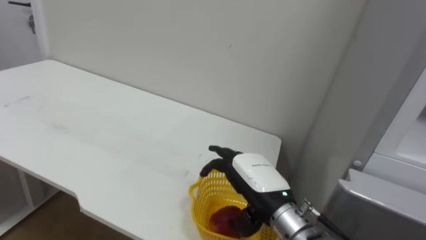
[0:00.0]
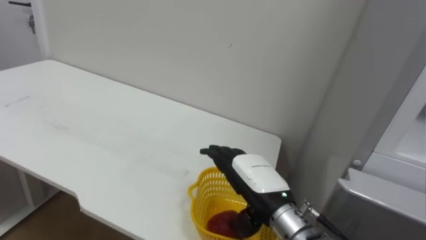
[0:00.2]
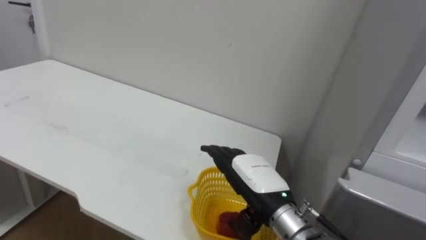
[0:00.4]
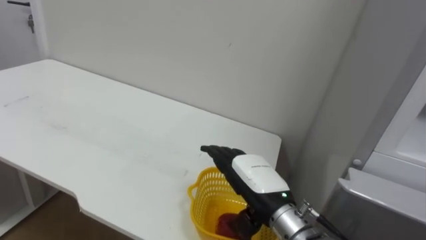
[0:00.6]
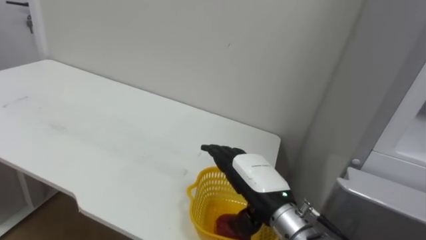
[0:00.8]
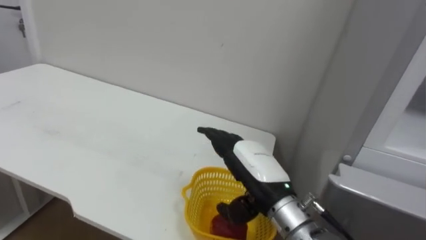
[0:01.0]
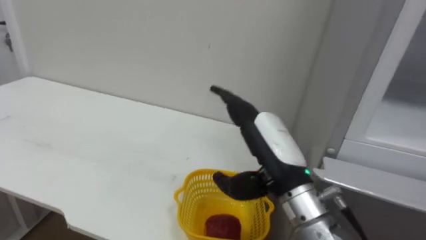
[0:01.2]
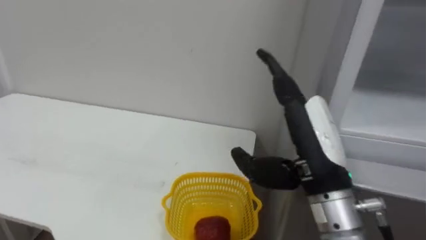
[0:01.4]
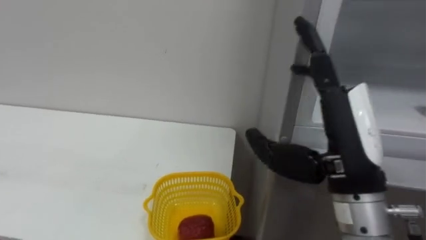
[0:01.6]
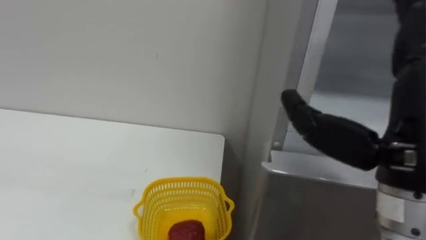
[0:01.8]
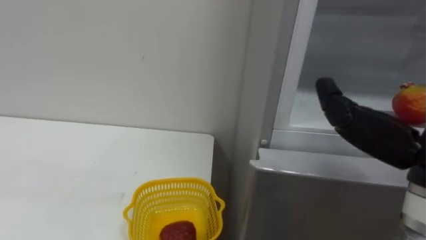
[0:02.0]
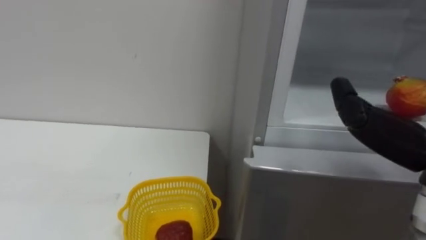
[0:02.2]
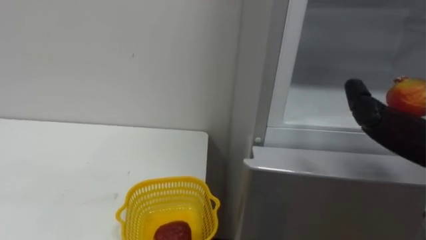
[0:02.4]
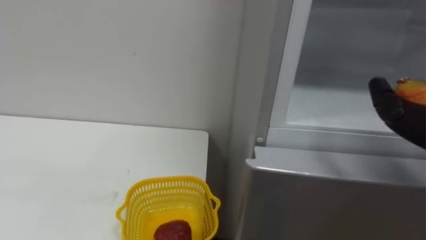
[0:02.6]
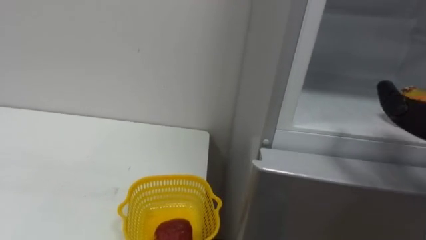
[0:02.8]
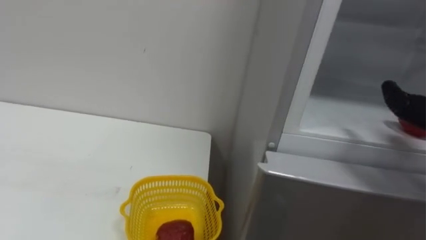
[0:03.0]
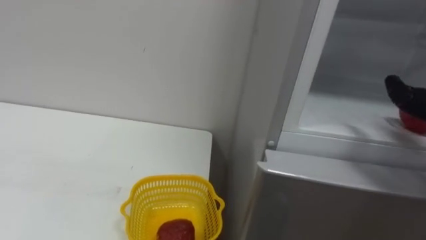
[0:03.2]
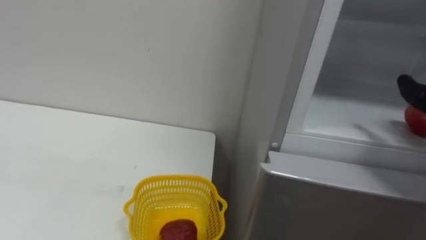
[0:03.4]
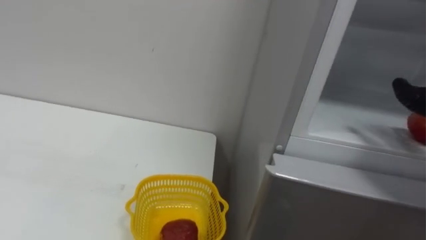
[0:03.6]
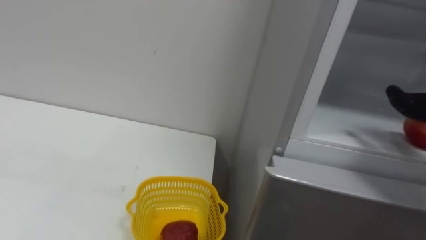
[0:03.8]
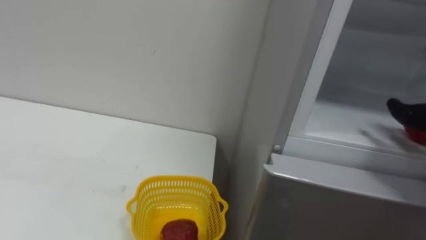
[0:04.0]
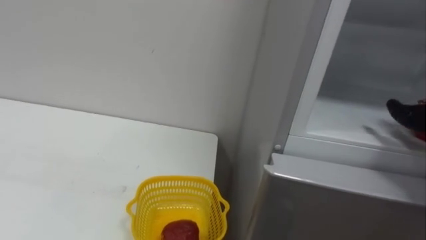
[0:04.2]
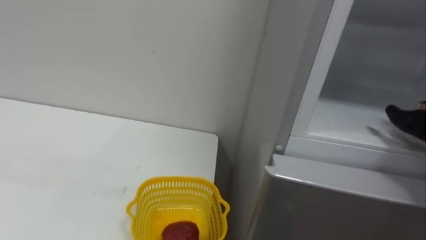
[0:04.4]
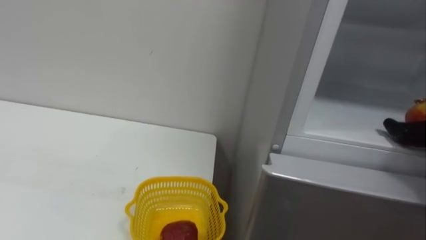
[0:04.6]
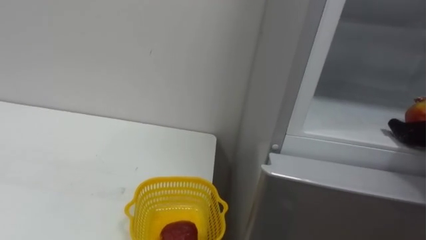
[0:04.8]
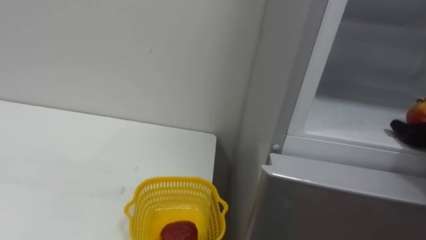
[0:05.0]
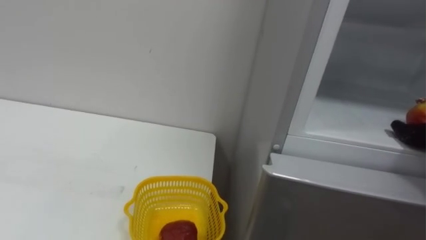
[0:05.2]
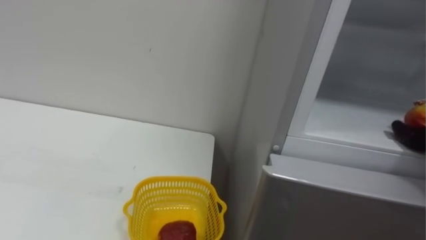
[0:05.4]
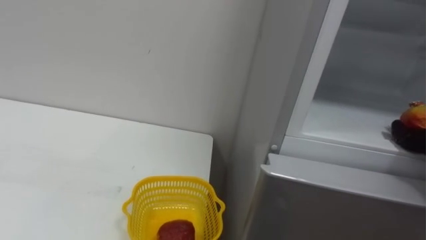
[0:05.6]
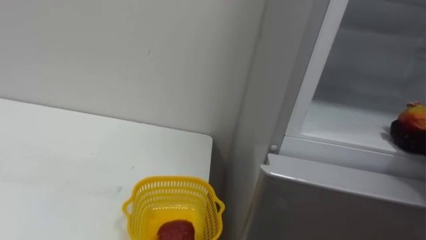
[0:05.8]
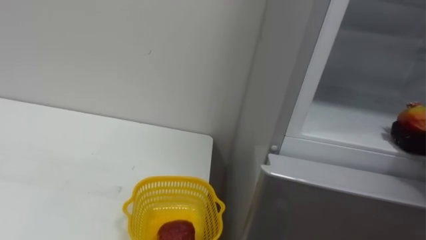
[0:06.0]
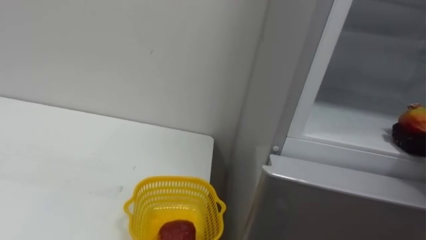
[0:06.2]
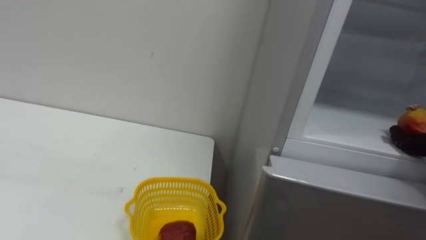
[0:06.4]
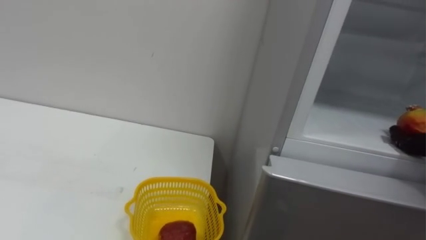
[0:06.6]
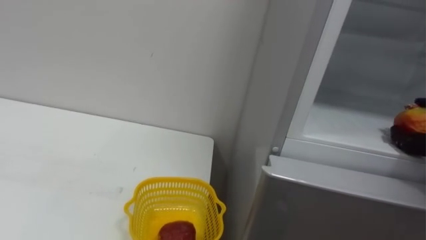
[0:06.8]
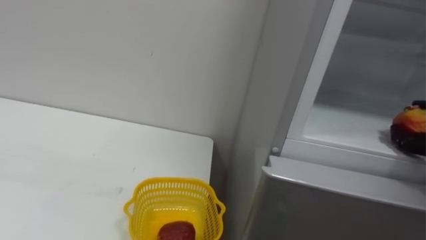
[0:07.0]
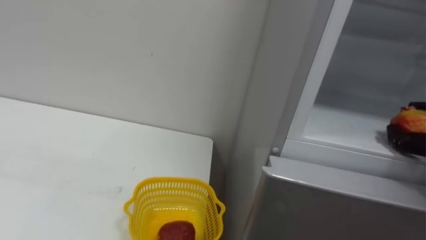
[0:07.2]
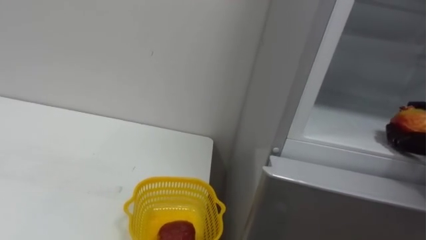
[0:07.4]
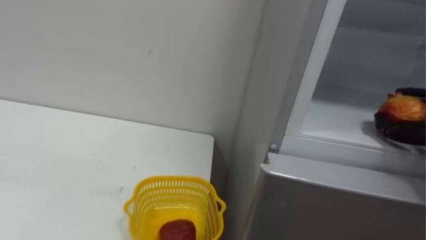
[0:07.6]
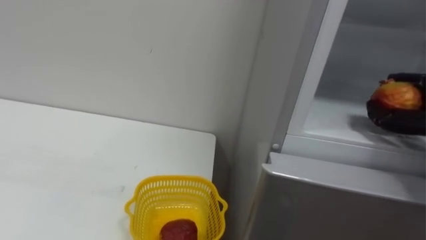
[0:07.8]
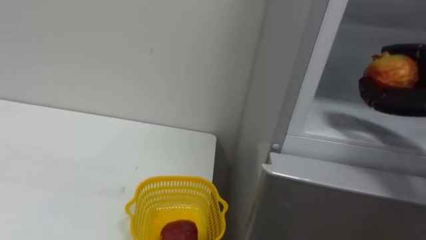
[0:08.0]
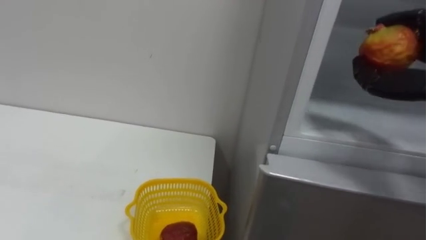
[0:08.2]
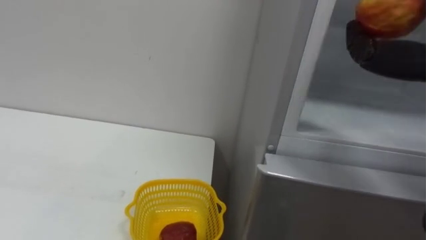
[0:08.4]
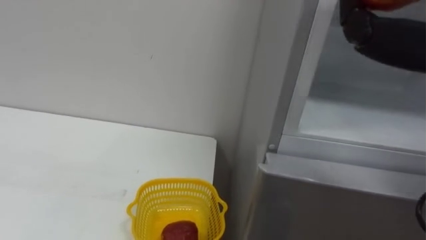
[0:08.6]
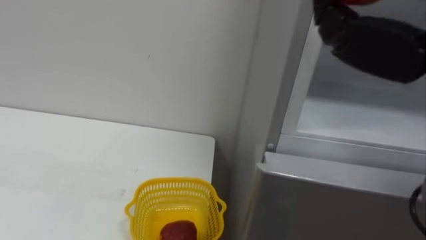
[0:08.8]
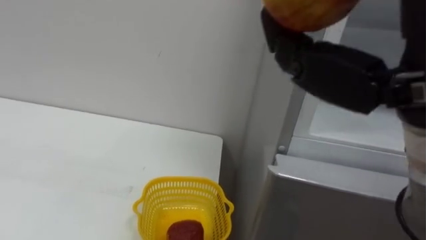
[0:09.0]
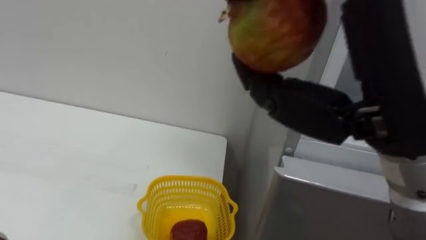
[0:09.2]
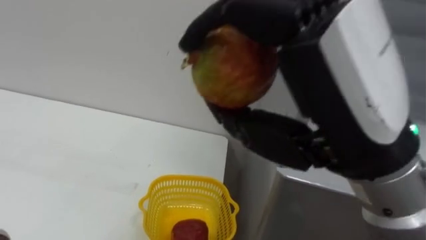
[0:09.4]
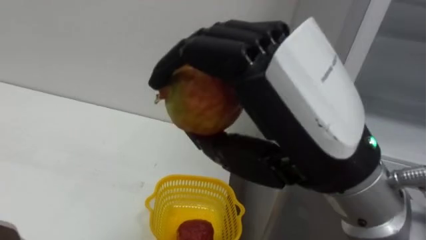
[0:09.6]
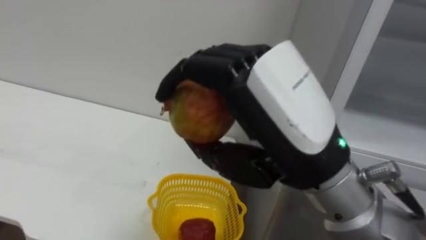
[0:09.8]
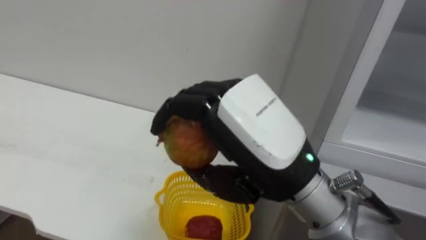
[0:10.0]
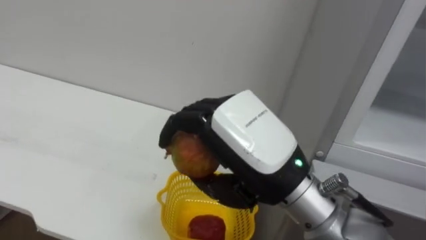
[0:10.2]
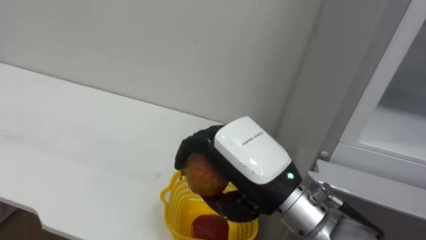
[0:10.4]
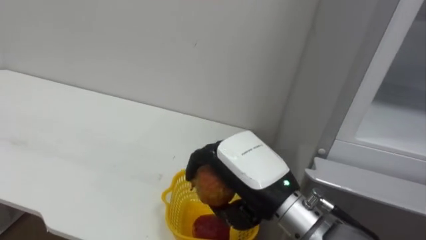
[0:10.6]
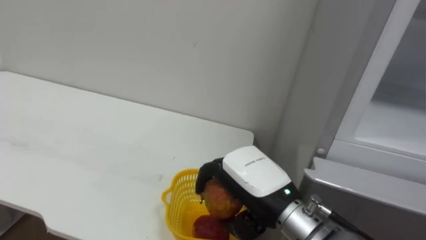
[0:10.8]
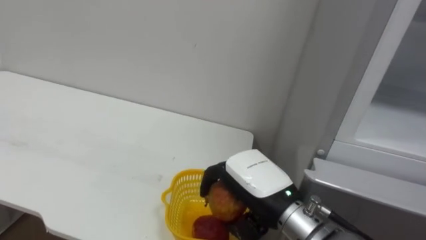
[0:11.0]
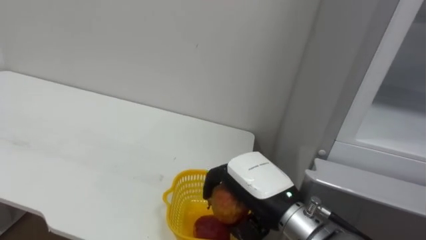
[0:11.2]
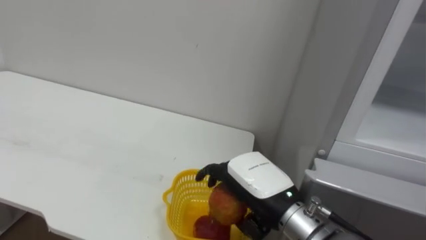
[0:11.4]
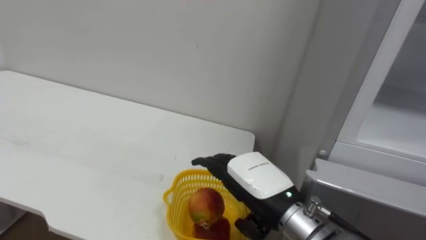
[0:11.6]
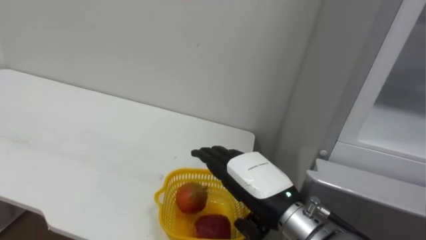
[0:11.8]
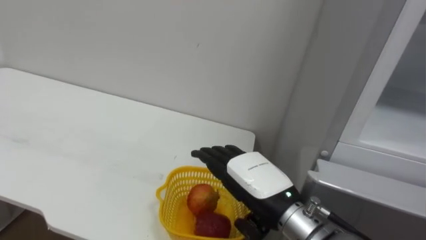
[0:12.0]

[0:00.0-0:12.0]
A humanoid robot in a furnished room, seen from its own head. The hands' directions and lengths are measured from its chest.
Task of the whole recording: Open the refrigerator door, take out the apple and the pomegranate, place them in the fruit basket on the left, and close the refrigerator door.
0:00.0 to 0:01.6: The right hand moves upward, to the right and backward, some 15 cm.
0:09.0 to 0:10.4: The right hand is displaced downward, to the left and forward by some 20 cm.
0:10.4 to 0:12.0: The right hand travels downward by about 10 cm, and opens its fingers.

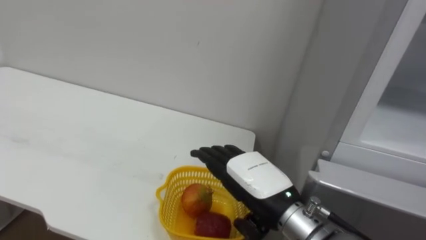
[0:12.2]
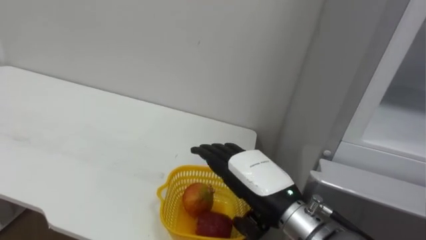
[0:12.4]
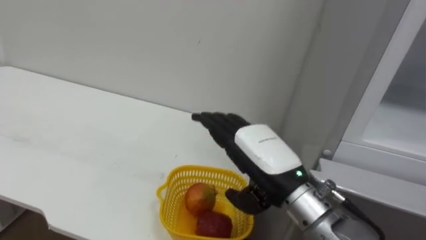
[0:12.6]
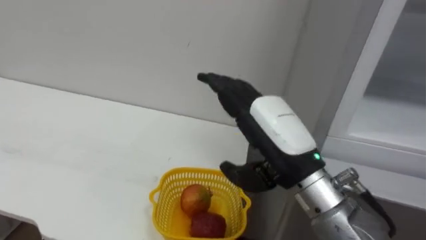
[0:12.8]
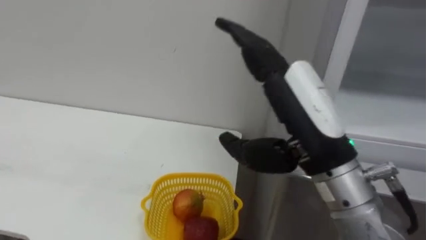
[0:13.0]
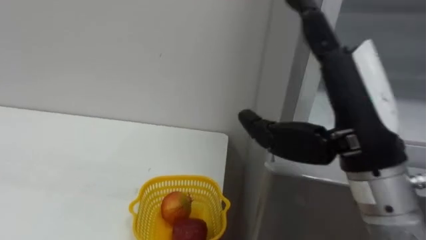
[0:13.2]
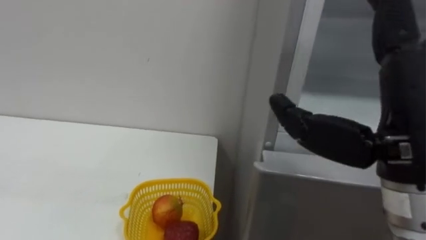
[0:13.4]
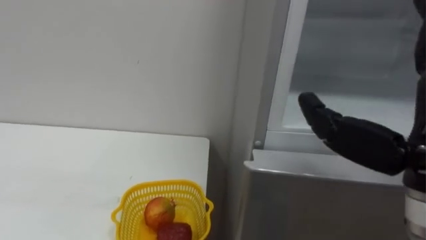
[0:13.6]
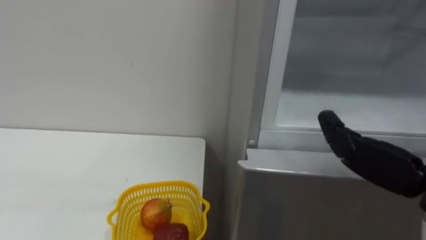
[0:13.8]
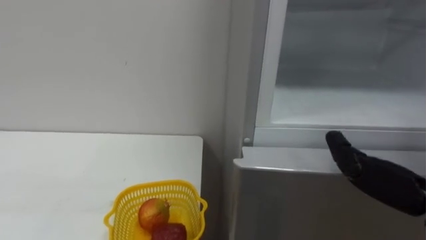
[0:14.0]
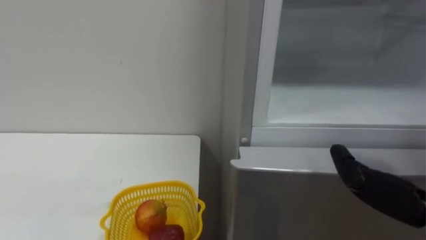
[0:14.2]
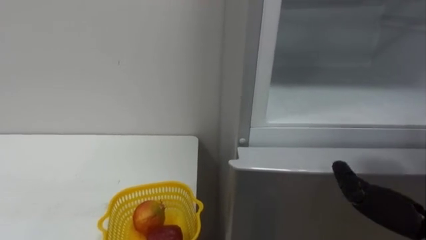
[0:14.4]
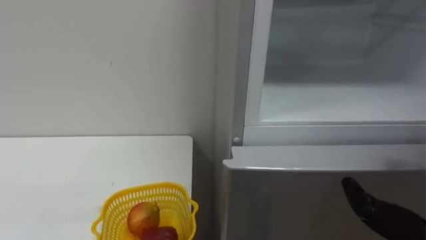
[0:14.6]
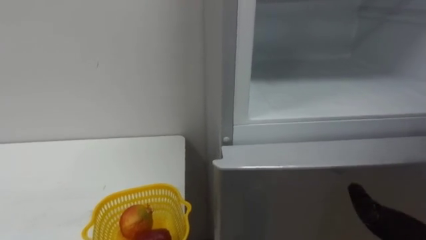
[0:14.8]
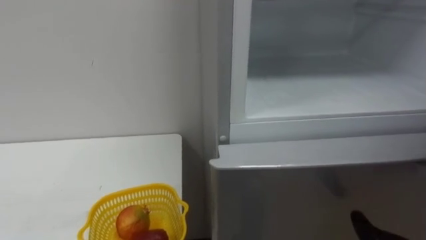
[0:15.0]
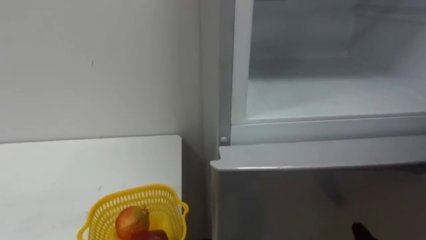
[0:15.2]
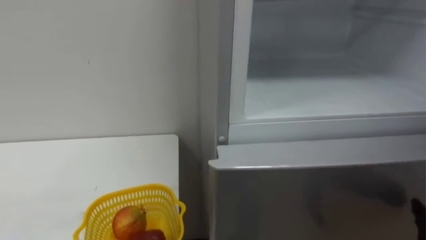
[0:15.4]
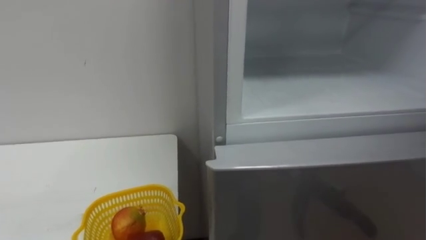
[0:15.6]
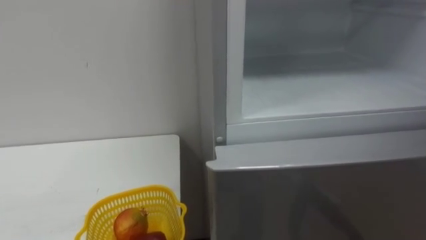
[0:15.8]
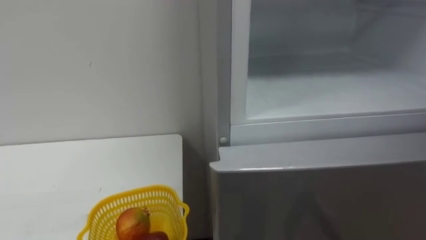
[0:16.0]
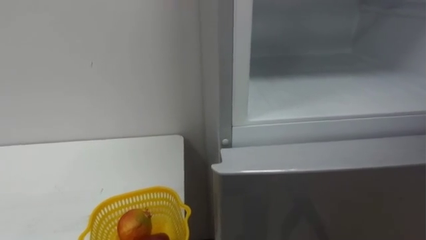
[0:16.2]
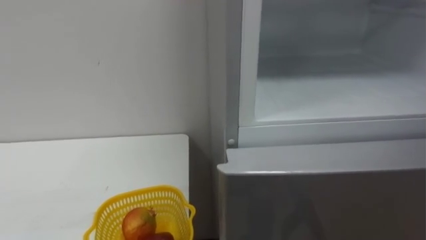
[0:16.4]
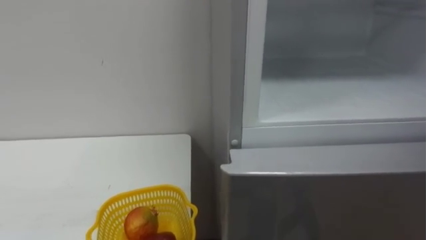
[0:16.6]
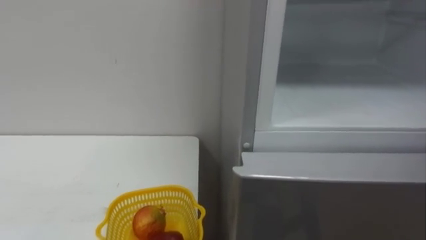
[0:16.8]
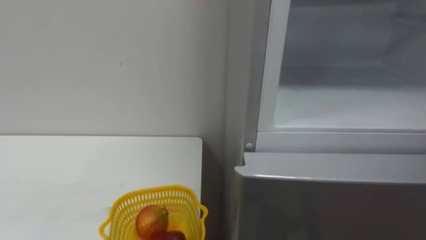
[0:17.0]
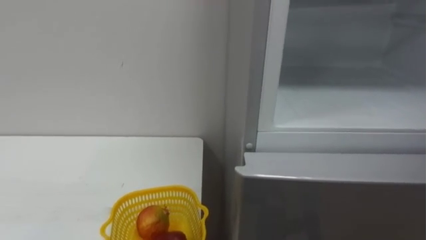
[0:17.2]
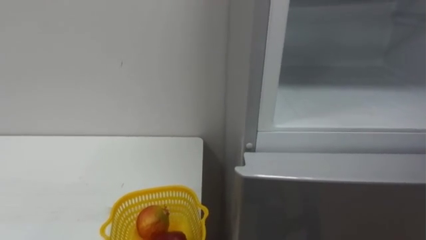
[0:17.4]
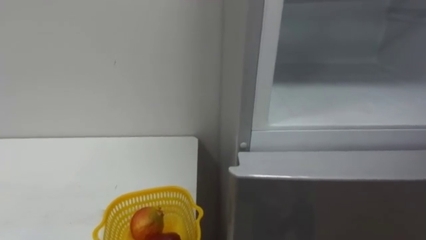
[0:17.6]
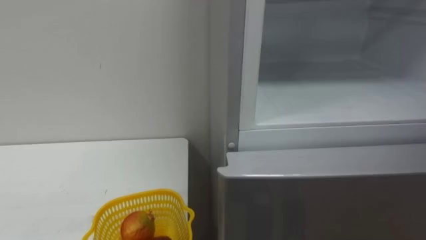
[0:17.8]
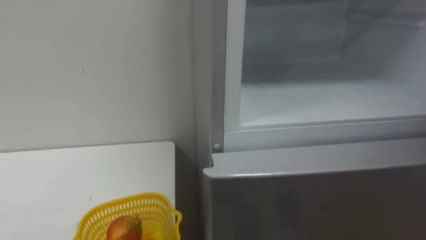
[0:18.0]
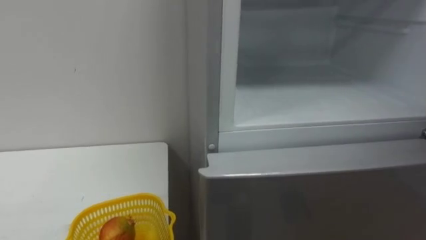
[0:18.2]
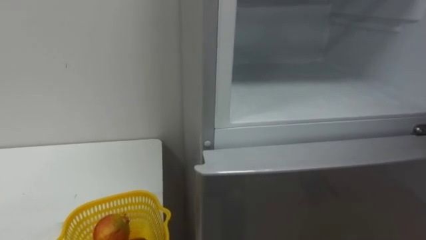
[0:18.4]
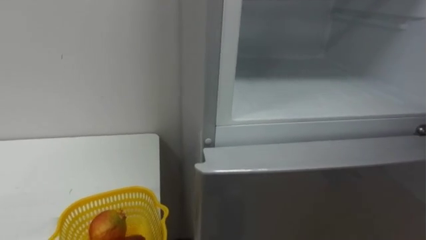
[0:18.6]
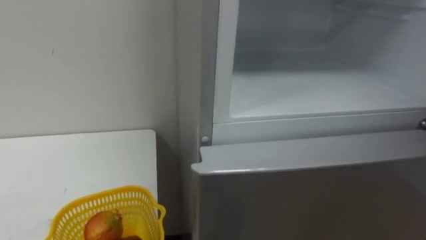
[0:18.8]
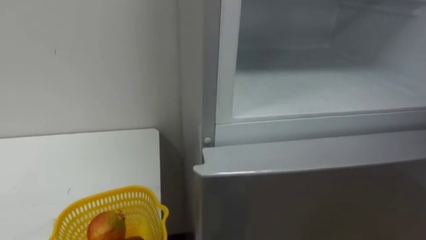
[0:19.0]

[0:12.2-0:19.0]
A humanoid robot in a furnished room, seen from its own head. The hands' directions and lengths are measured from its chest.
Task of the whole recording: Open the refrigerator door, take out the apple and the pomegranate, place them in the fruit basket on the left, and close the refrigerator door.
0:12.2 to 0:13.6: The right hand moves upward, to the right and backward, about 25 cm.
